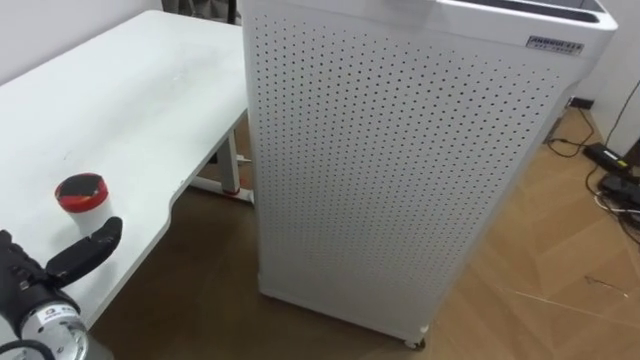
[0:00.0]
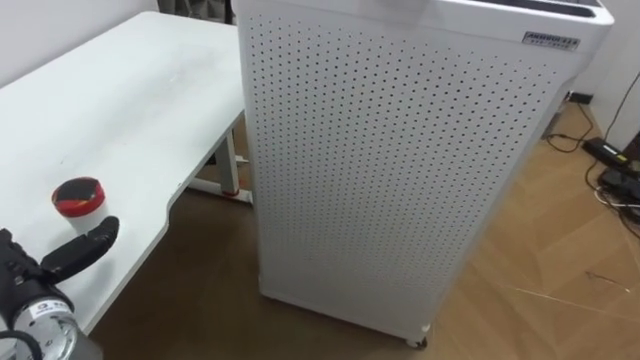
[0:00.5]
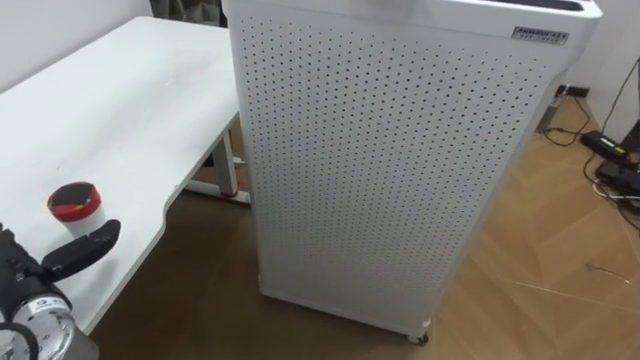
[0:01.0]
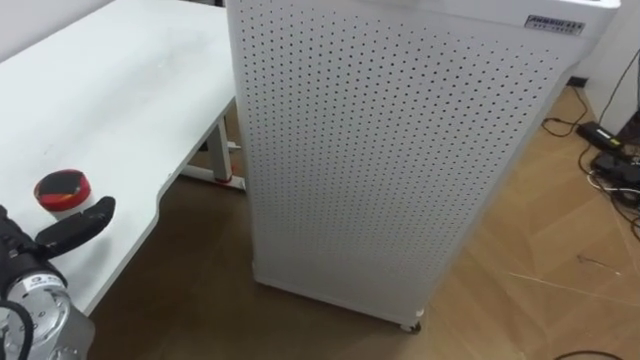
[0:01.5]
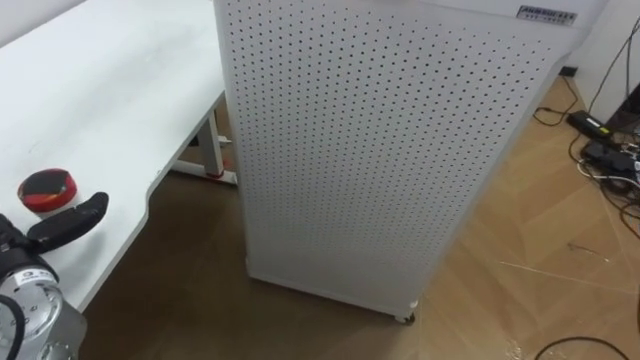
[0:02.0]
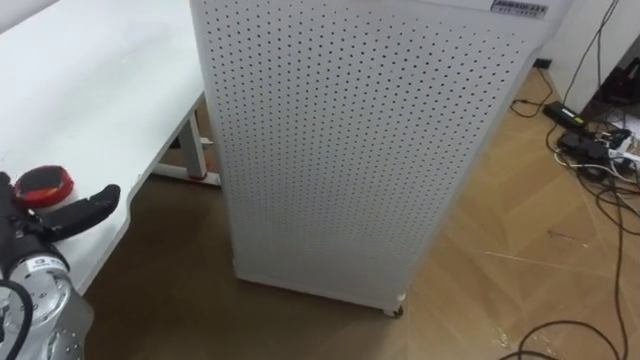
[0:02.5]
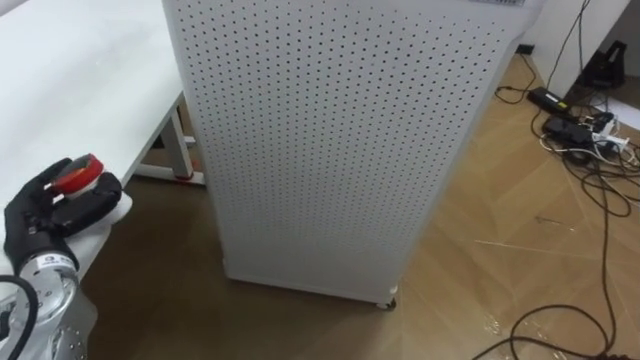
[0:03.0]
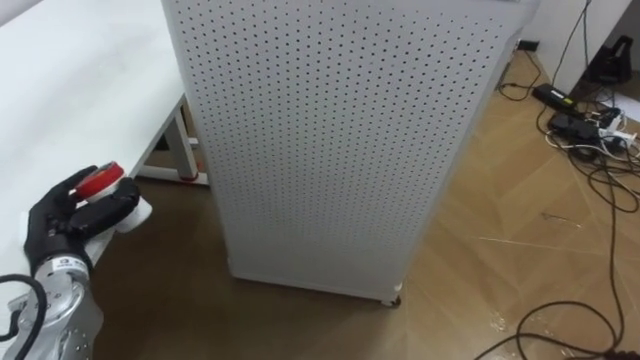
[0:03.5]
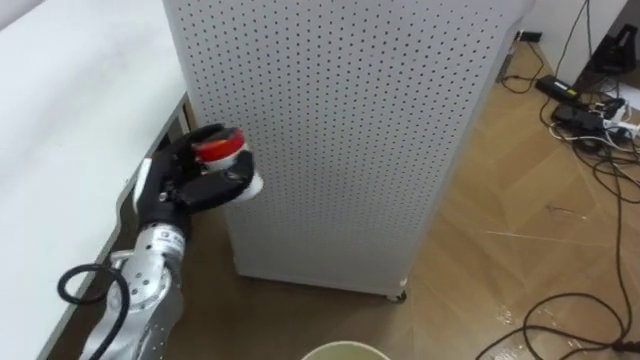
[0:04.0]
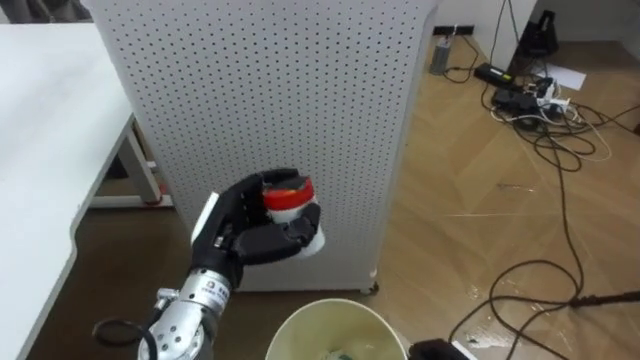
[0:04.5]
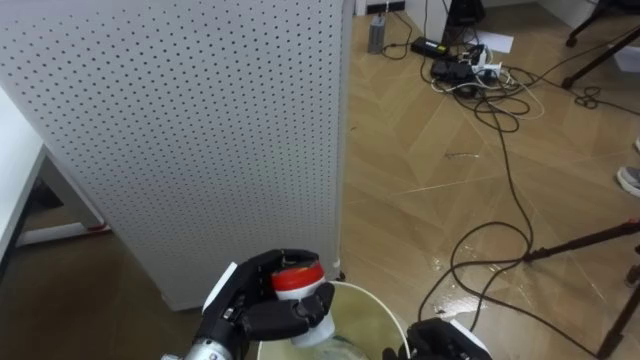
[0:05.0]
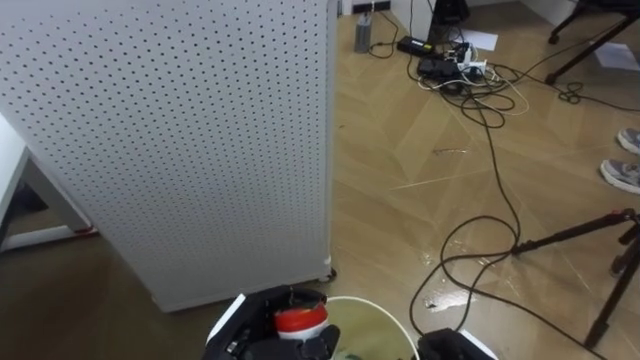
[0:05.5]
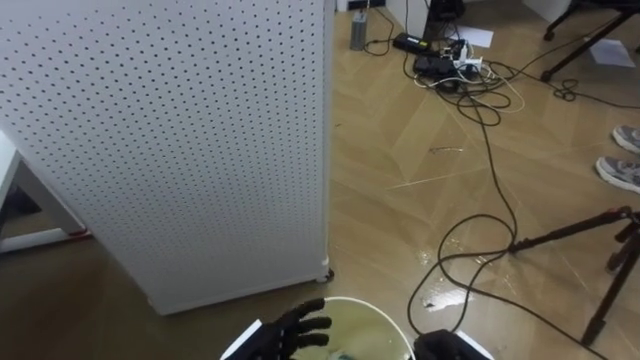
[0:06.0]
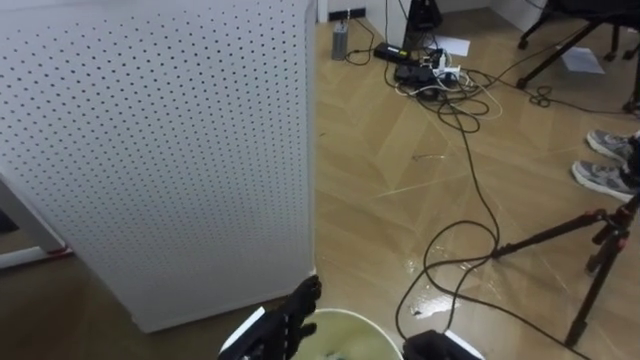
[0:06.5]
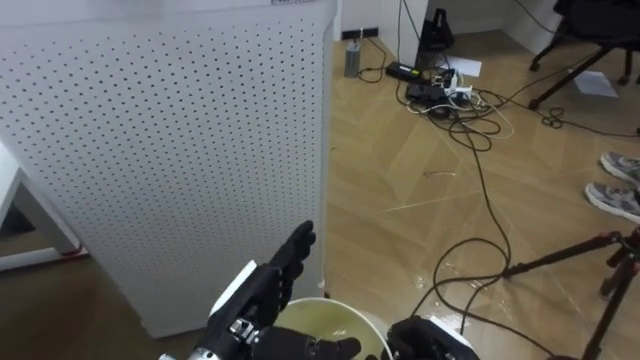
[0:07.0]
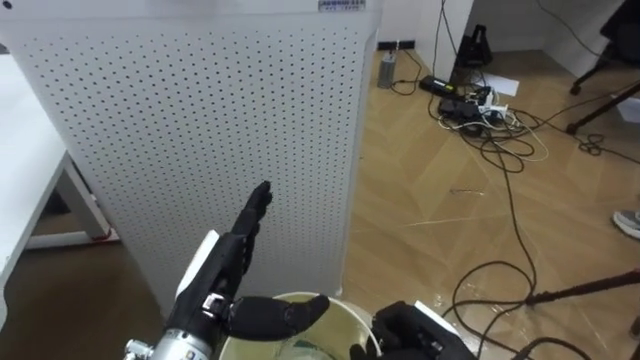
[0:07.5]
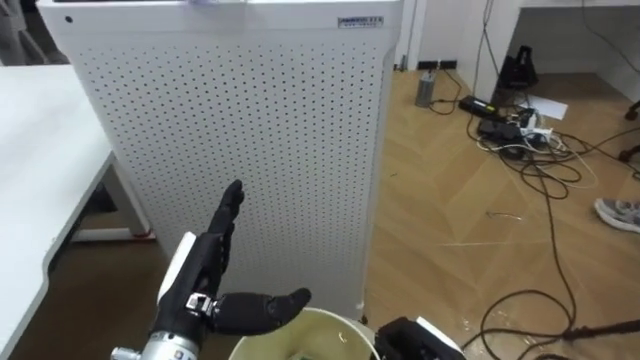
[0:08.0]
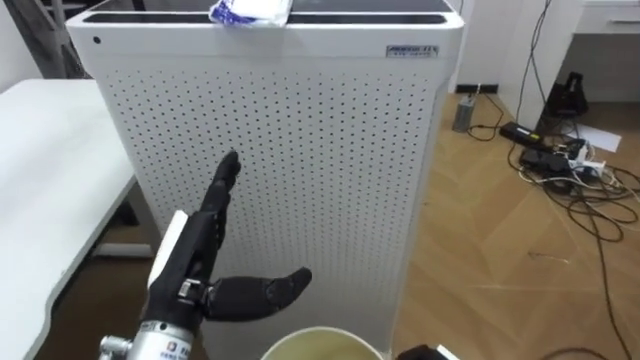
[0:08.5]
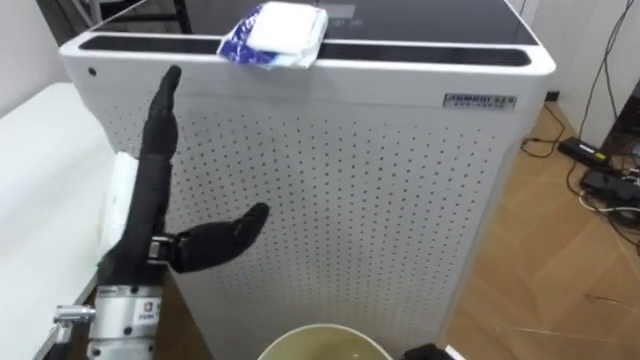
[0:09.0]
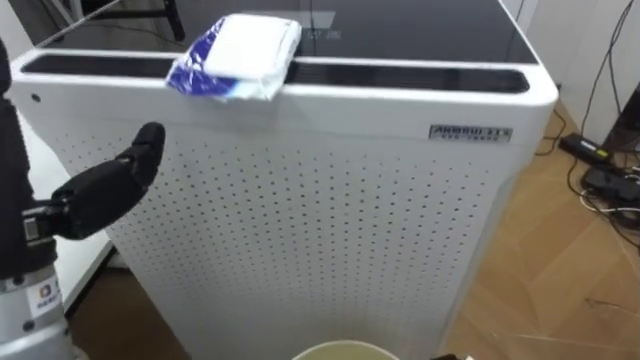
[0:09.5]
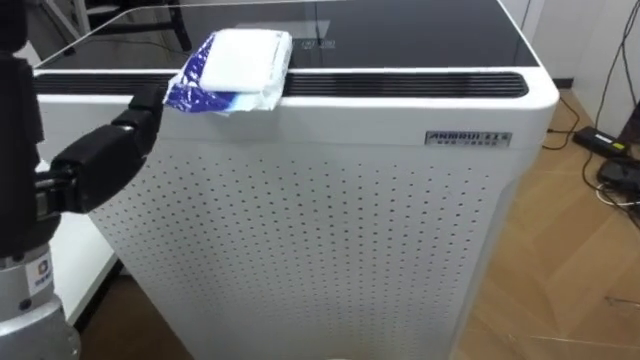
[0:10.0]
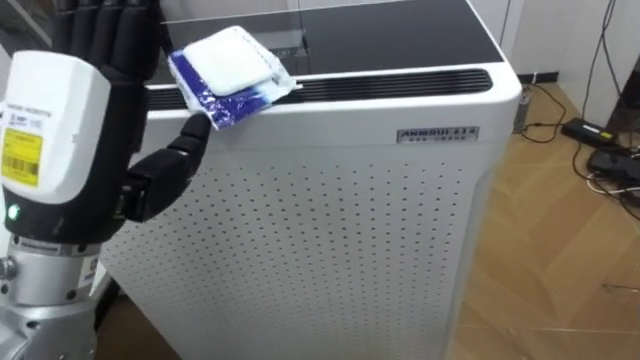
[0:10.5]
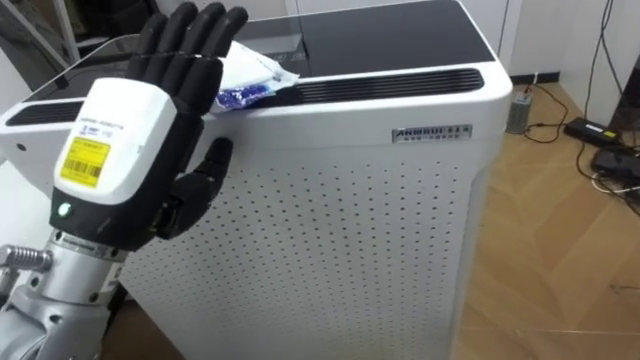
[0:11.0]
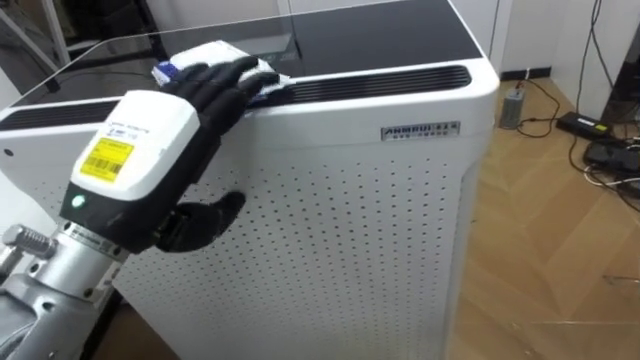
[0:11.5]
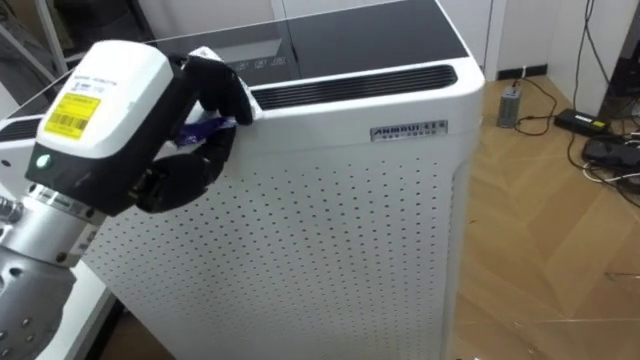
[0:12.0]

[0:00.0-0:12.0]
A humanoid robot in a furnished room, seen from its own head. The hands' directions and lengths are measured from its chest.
Task of the whole recording: Pick up the light blue package, the candy box, and the dark blue package separately, and put them into the trash can held in your right hand.
0:02.0 to 0:04.0: The left hand moves to the right, approximately 15 cm, and closes its fingers.
0:04.0 to 0:06.0: The robot turns to its right by some 25 degrees.

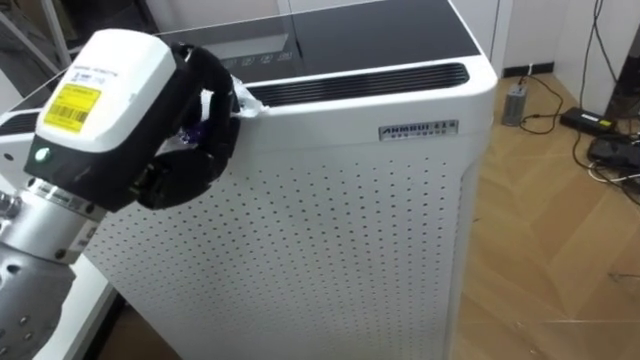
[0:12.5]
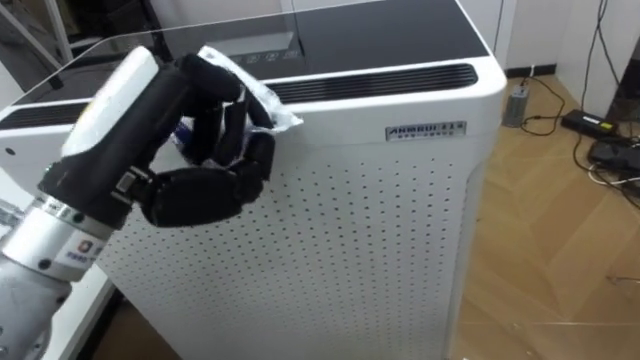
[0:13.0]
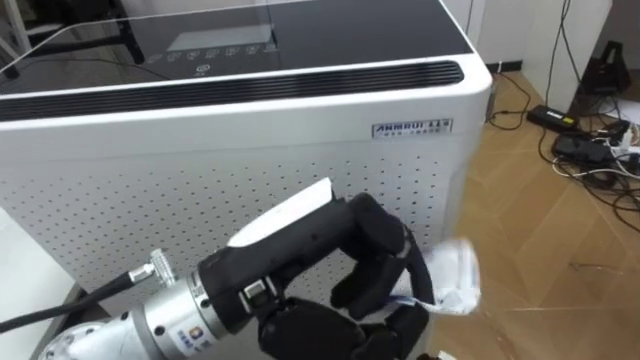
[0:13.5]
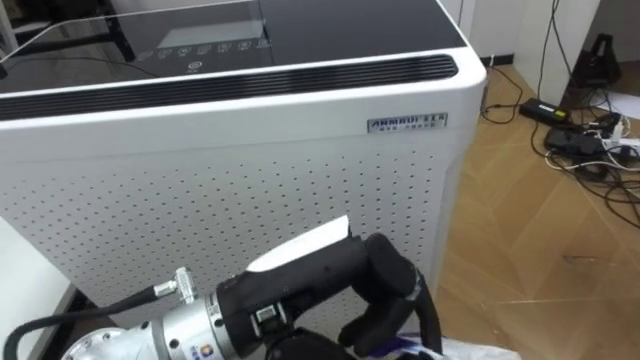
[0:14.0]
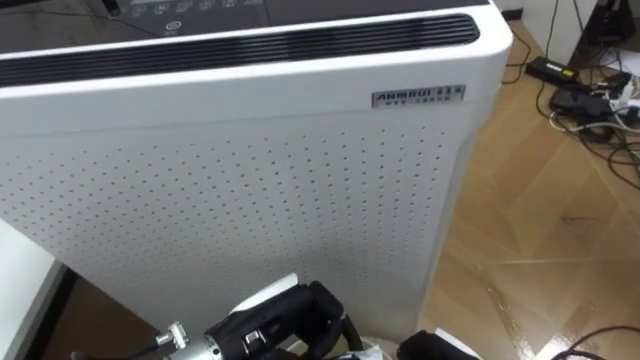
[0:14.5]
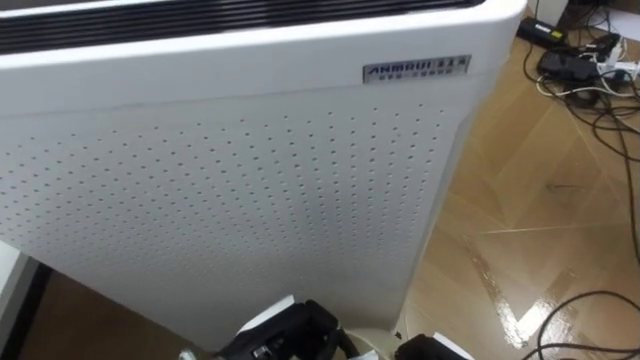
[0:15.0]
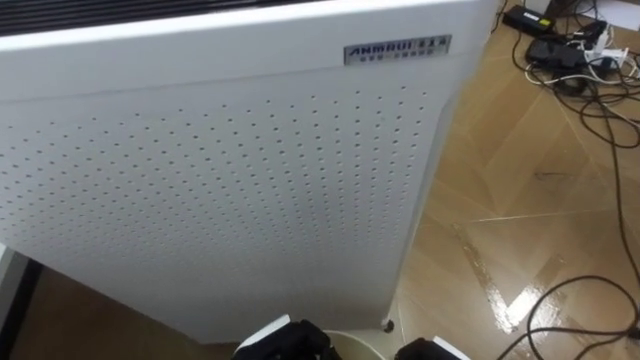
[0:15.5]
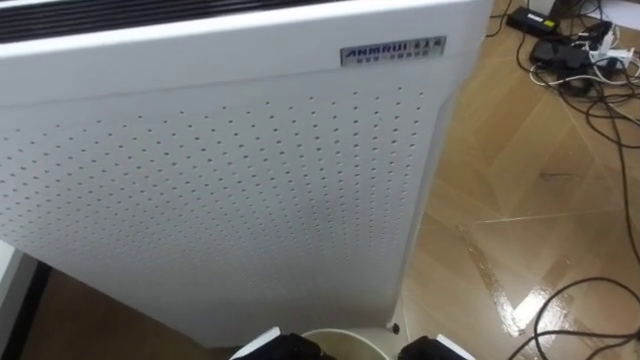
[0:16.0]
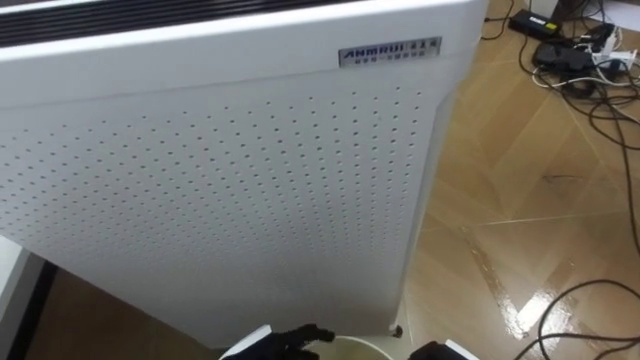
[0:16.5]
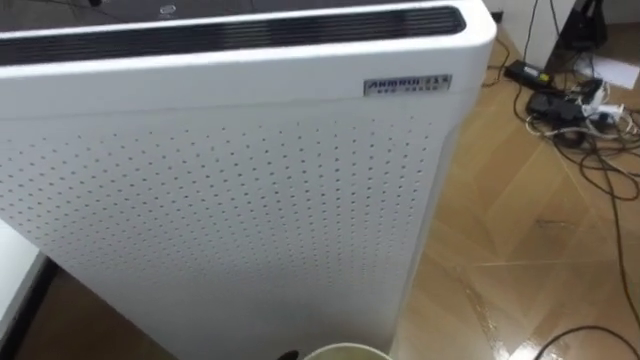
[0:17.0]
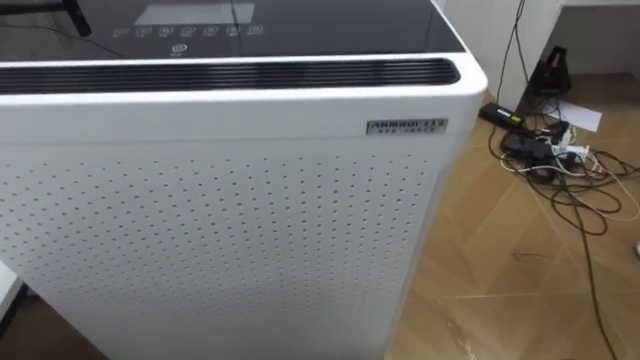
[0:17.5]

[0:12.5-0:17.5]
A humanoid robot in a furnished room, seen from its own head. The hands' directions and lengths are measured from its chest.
Task of the whole recording: Pick up the light blue package, the candy box, and the dark blue package separately, and put them into the trash can held in your right hand.
0:12.5 to 0:15.0: The left hand is displaced downward by roughly 30 cm.

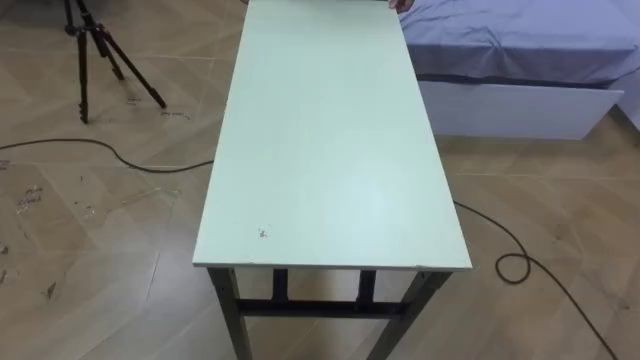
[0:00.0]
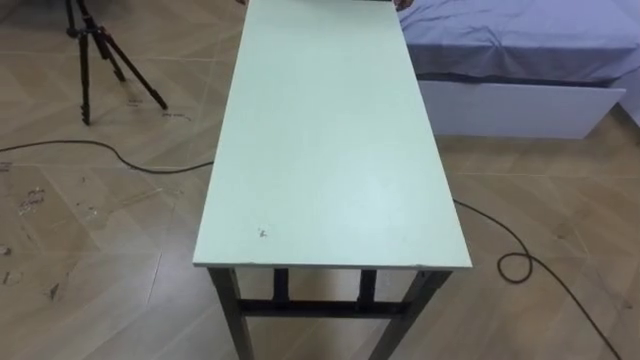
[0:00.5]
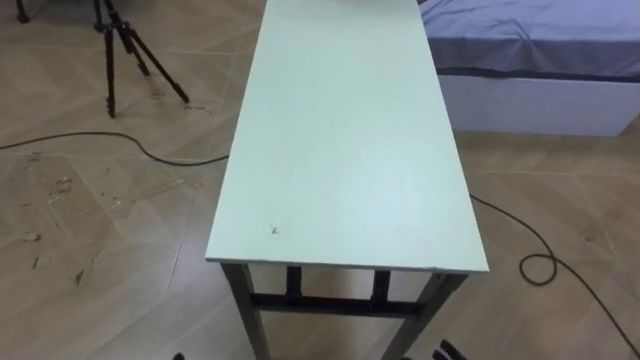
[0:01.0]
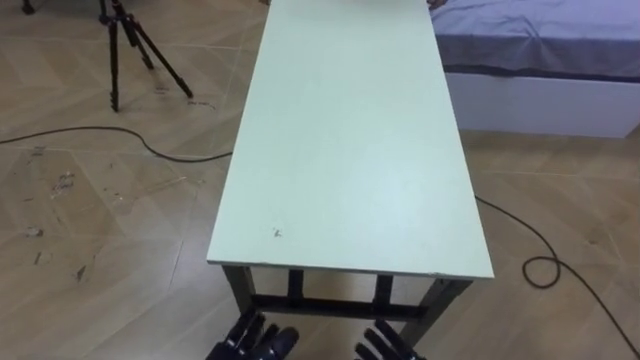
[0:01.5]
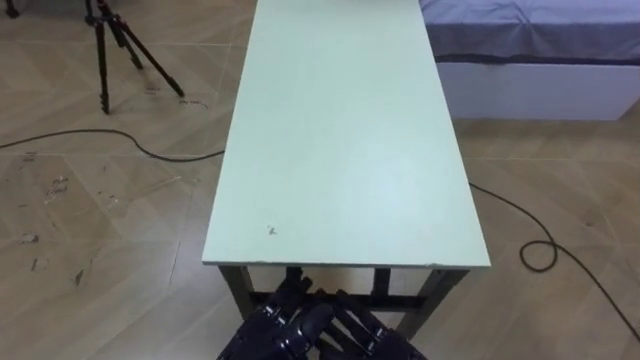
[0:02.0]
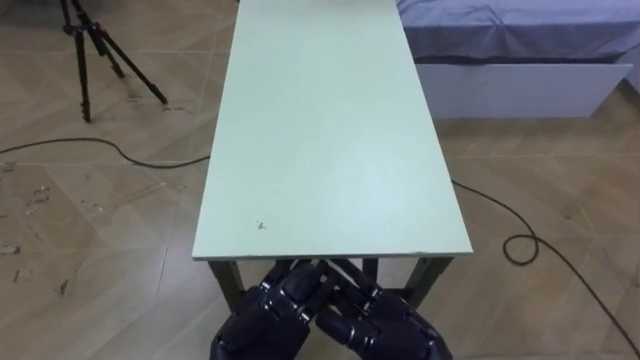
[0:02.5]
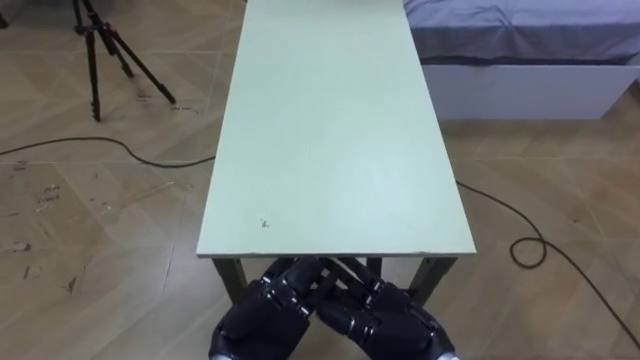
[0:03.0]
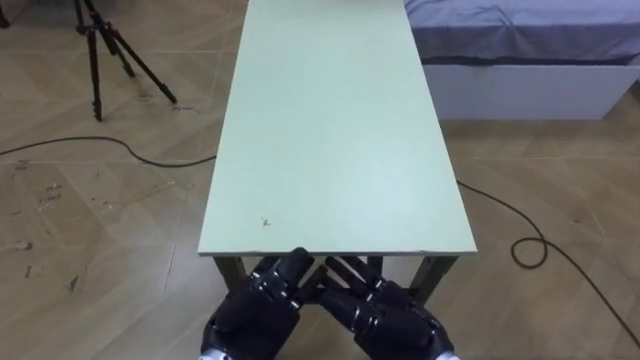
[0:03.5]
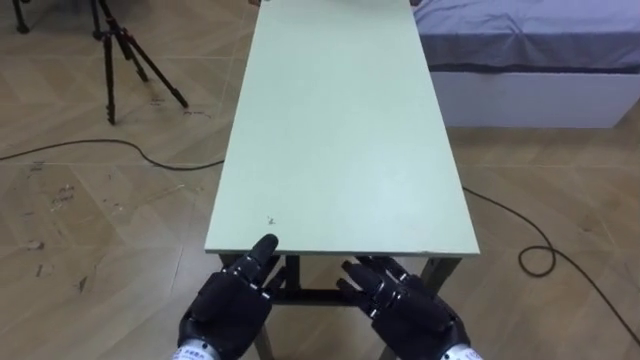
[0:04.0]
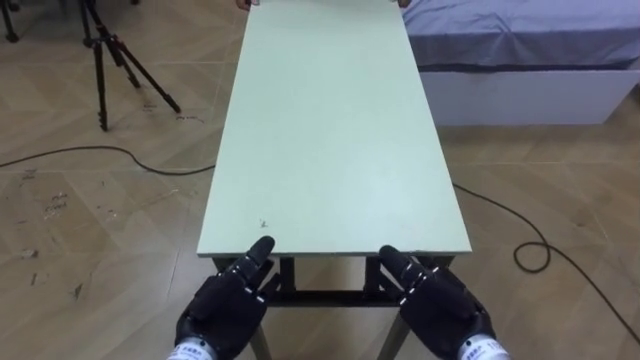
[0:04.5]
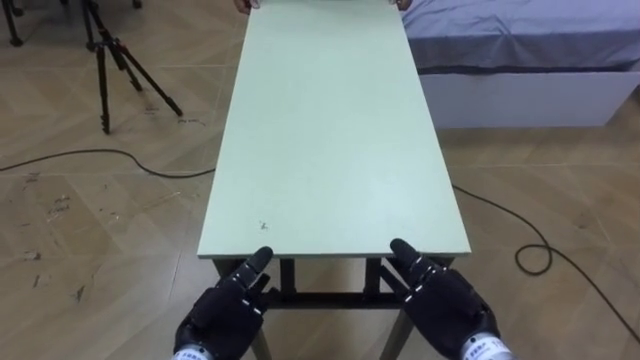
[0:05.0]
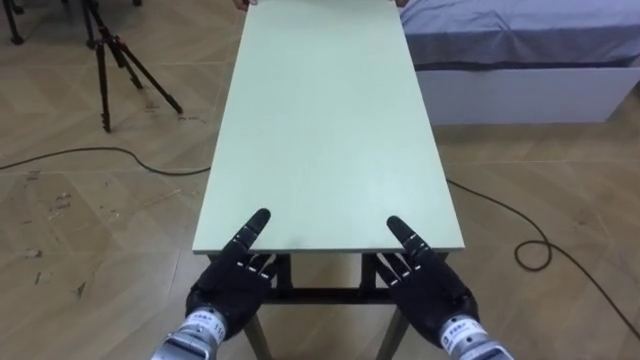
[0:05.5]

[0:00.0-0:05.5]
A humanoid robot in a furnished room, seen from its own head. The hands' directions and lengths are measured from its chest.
Task of the whole recording: Move the table to the back left with someone.
0:03.5 to 0:05.5: The left hand changes place by approximately 5 cm. The right hand travels to the right by some 5 cm.
